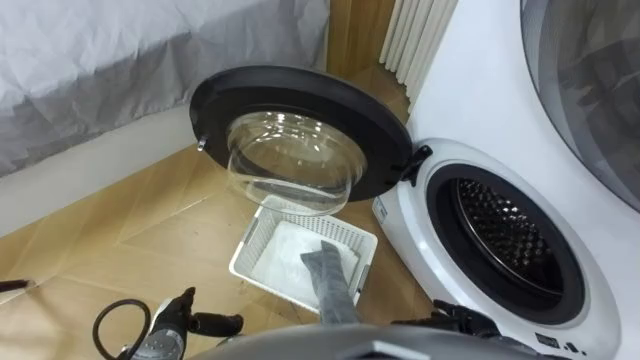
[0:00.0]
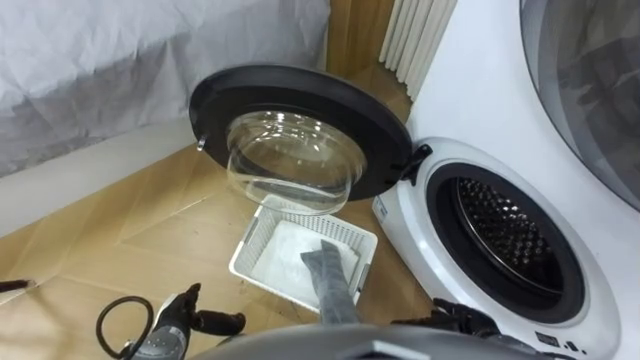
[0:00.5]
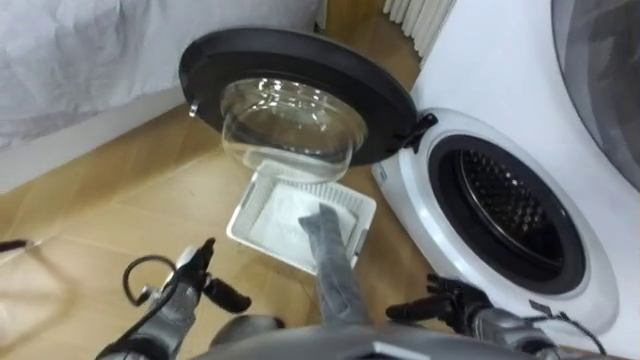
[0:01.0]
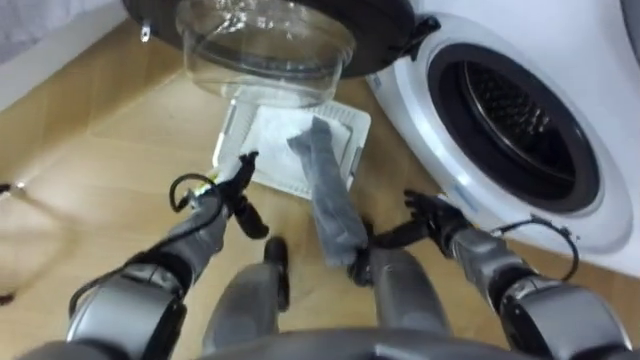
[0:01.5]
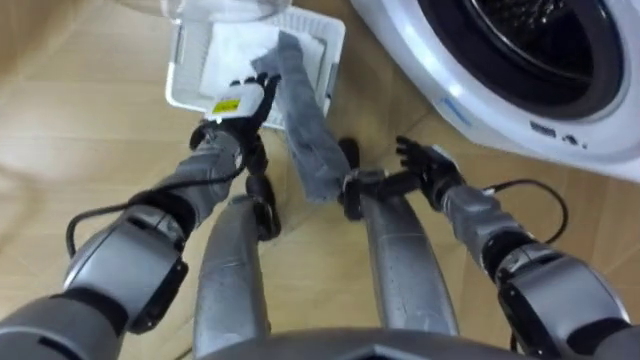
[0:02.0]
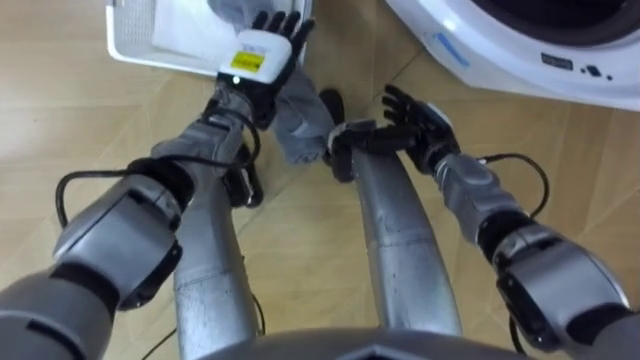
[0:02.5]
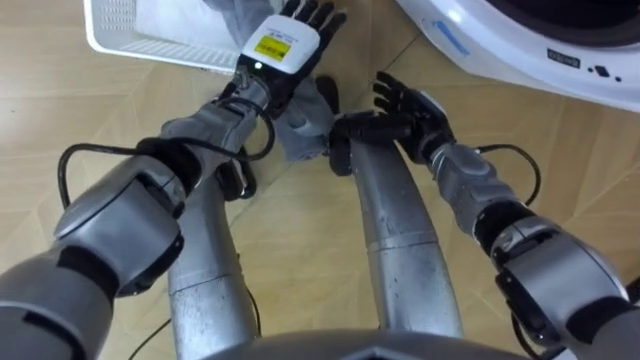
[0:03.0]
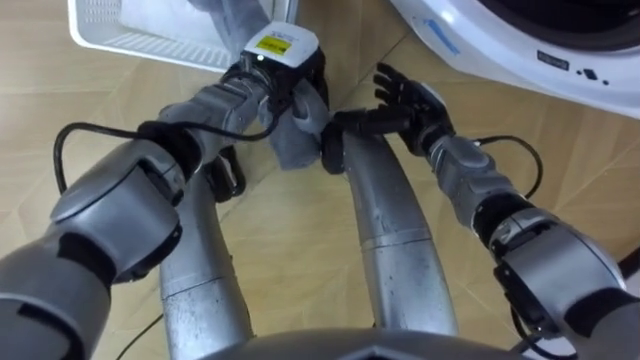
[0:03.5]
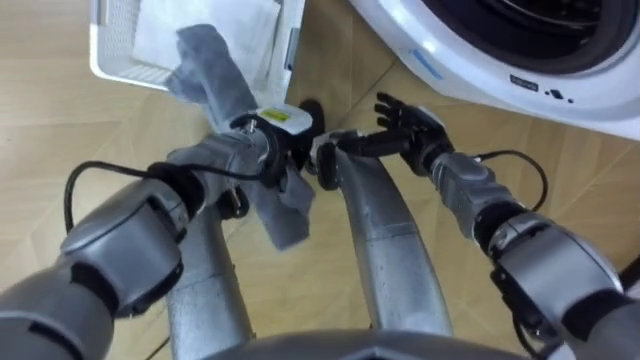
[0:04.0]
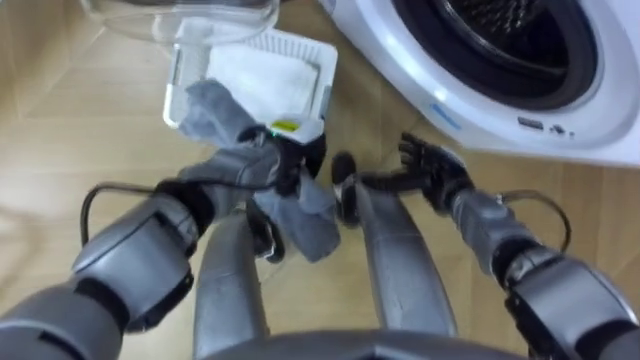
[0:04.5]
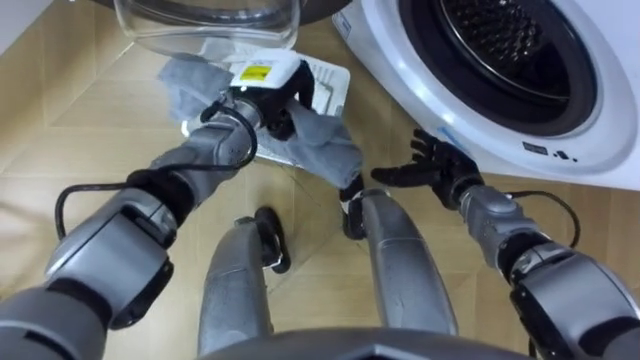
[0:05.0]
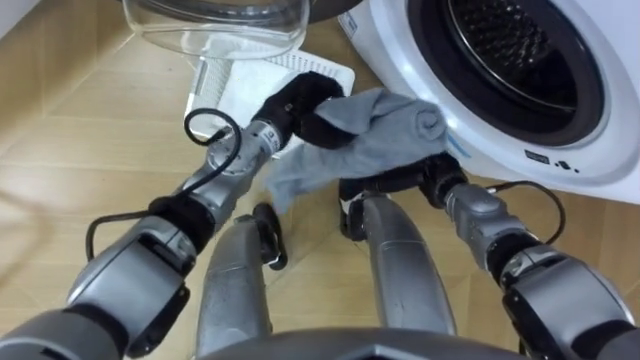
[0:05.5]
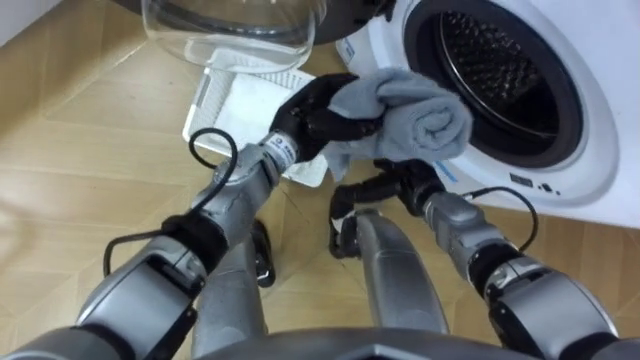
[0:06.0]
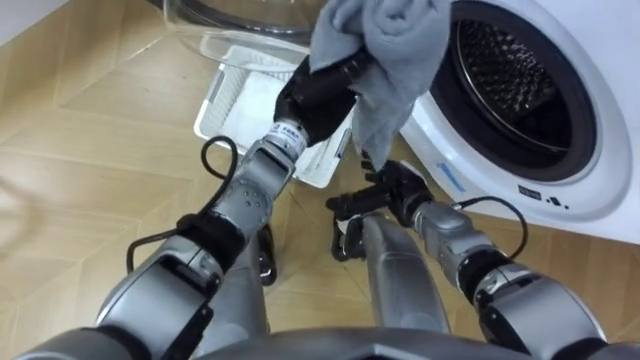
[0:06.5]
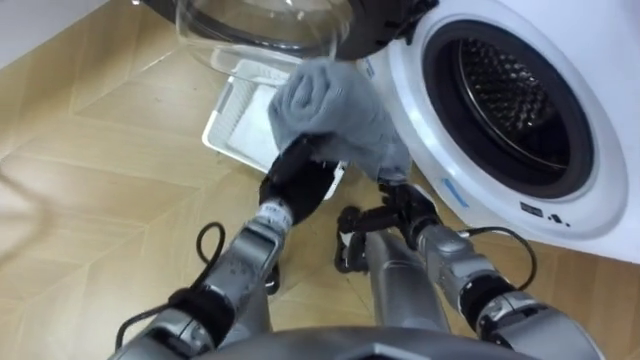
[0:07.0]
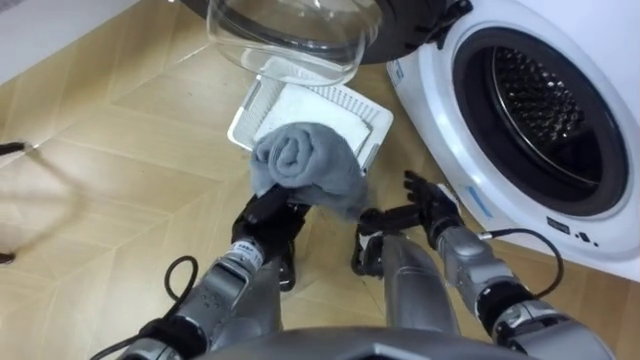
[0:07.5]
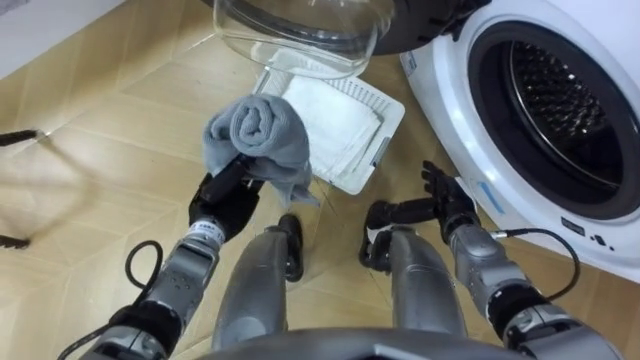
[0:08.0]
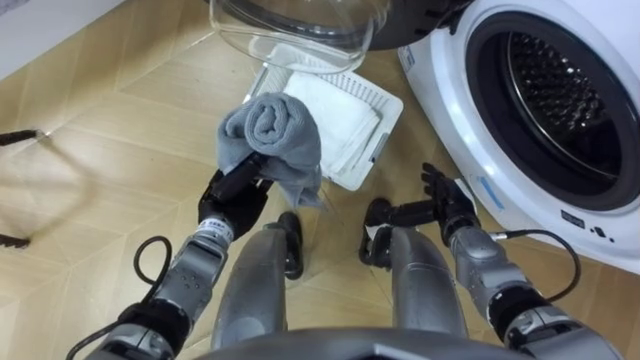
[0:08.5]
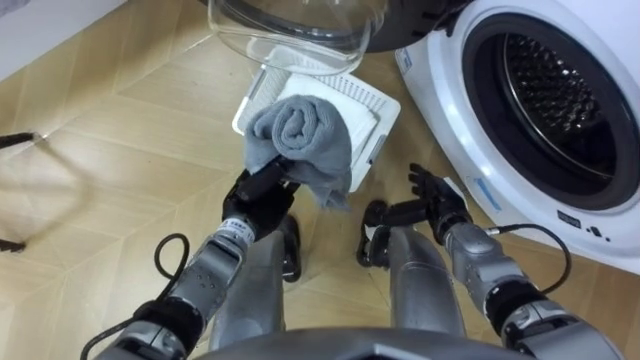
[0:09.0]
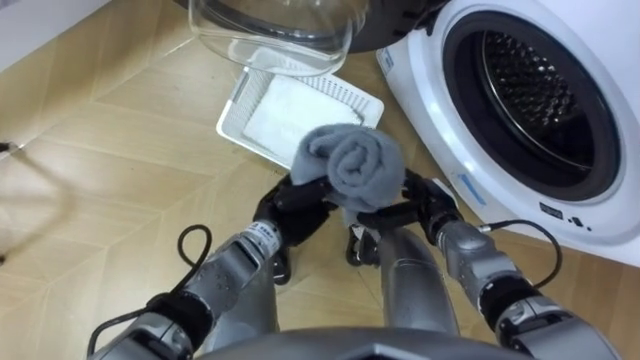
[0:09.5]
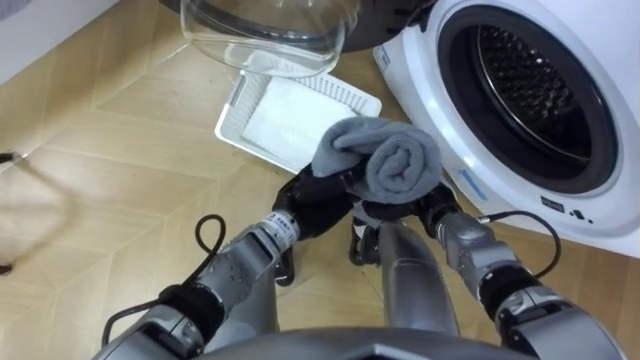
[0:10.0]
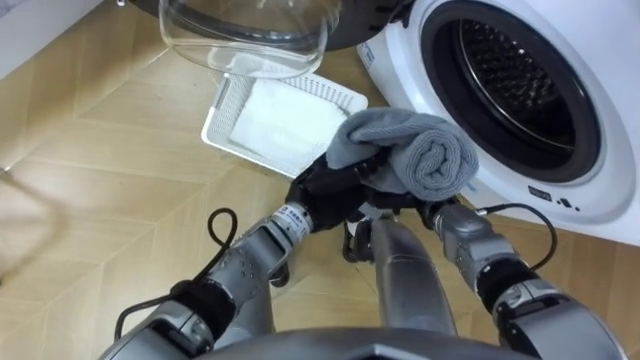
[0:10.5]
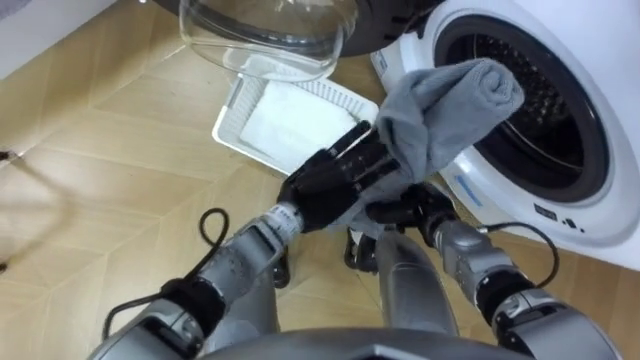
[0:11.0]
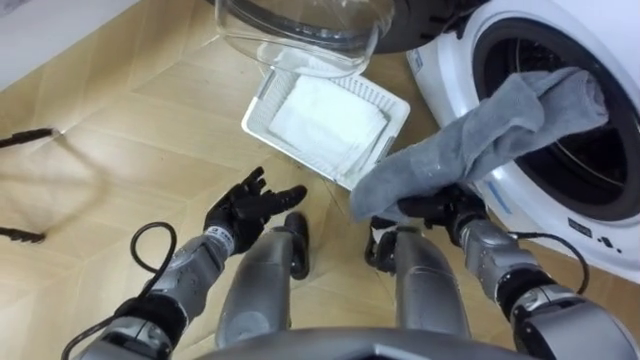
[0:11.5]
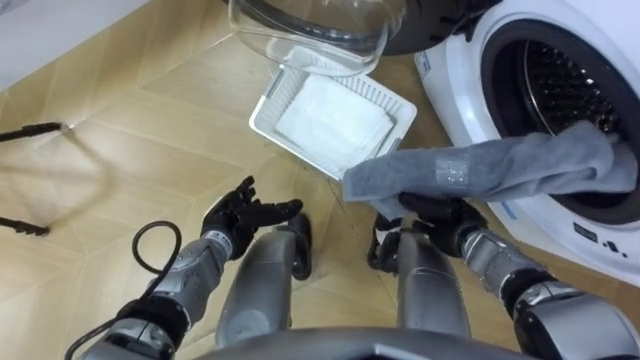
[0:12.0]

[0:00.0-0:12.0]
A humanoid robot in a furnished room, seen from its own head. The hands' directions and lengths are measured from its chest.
Task of the whole recording: Take the towel from the basket and put it into the washing machine.
0:02.0 to 0:04.0: The left hand heads to the right, covering about 5 cm, reaches roughly 10 cm upward, then returns, and closes up.
0:04.0 to 0:06.0: The left hand travels upward by roughly 5 cm. Meanwhile the right hand changes place by about 5 cm.
0:06.0 to 0:08.0: The left hand moves to the left, downward and backward, some 20 cm, while the right hand goes approximately 5 cm to the right.
0:08.0 to 0:10.0: The left hand travels to the right by some 15 cm. Meanwhile the right hand closes.
0:10.0 to 0:12.0: The left hand moves to the left and downward, some 15 cm, and opens its fingers. The right hand ends up some 5 cm from where it was, and closes up.

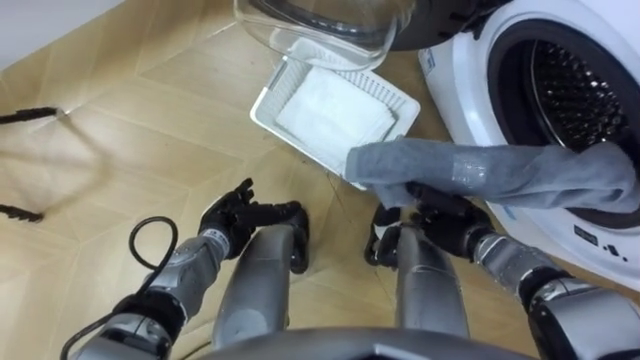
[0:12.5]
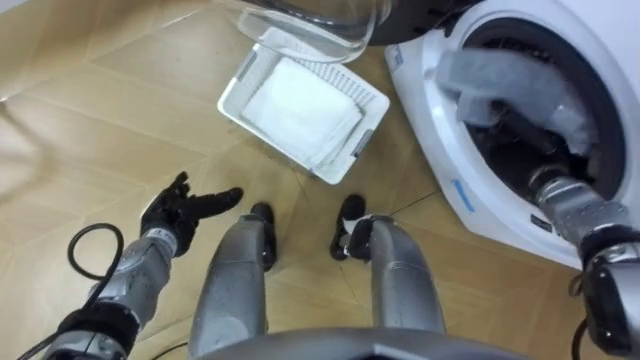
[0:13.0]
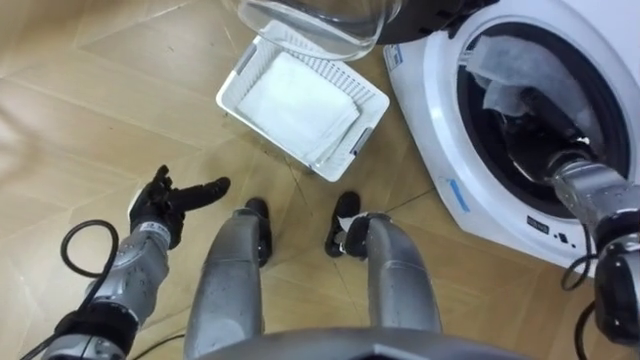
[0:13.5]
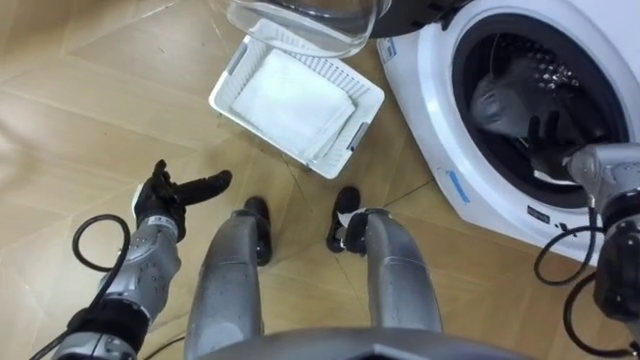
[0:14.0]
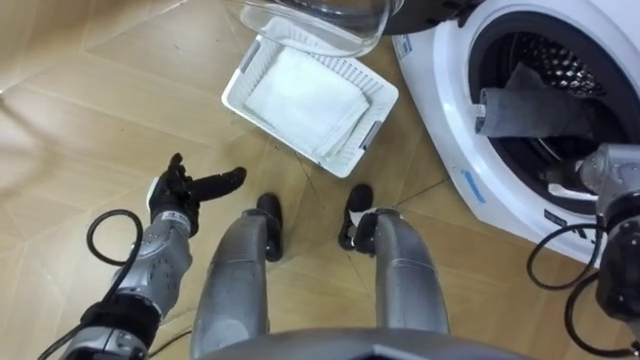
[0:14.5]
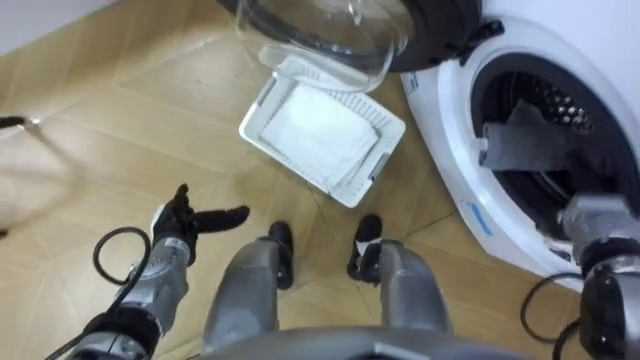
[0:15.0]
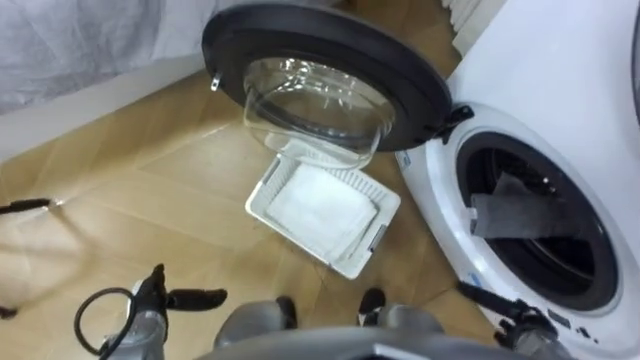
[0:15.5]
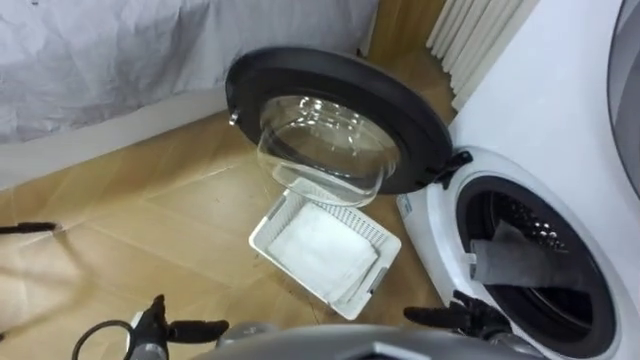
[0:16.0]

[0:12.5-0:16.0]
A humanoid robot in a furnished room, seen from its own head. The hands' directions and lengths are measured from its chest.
Task of the whole recording: Take the towel from the basket and put it into the washing machine.
0:12.5 to 0:14.5: The right hand travels to the right and upward by about 20 cm, and opens its fingers. The left hand shifts approximately 10 cm to the left.
0:14.5 to 0:16.0: The left hand goes roughly 20 cm backward and downward. The right hand moves backward, downward and to the left, about 25 cm.

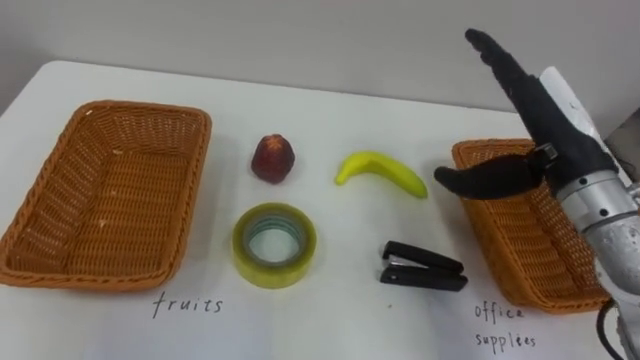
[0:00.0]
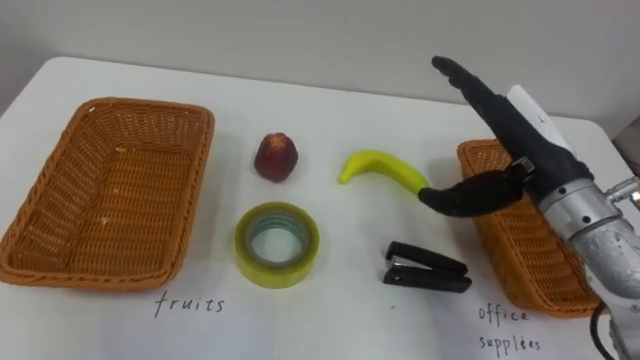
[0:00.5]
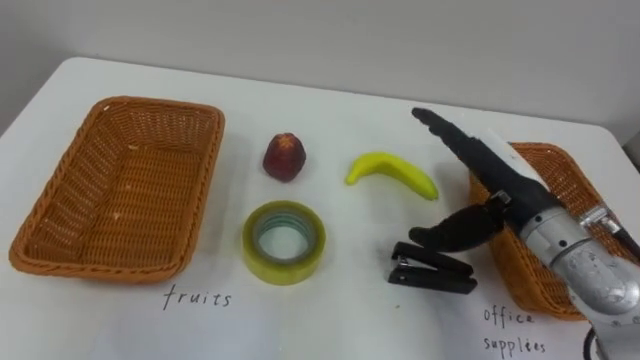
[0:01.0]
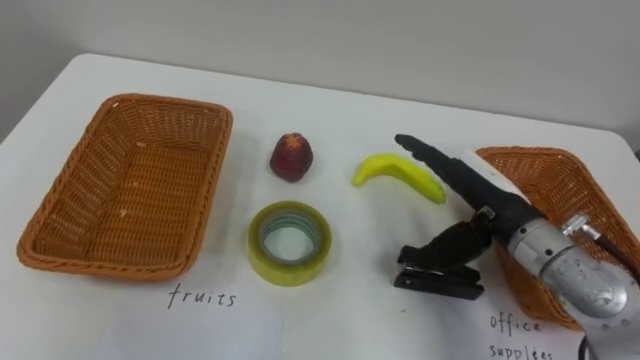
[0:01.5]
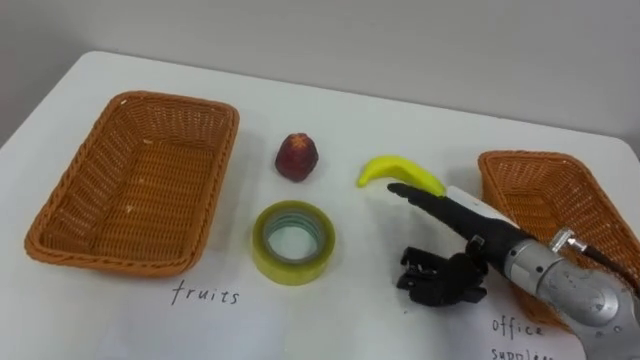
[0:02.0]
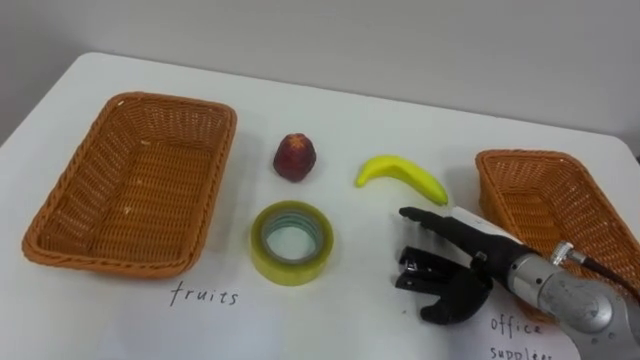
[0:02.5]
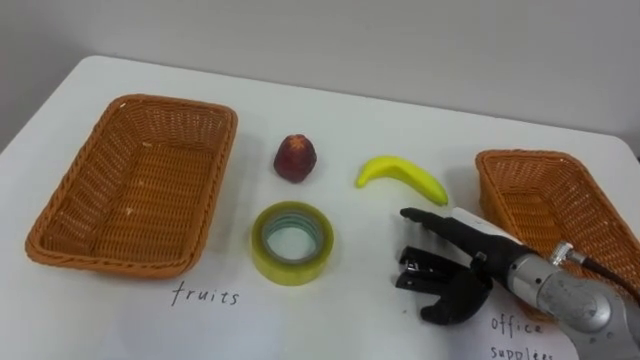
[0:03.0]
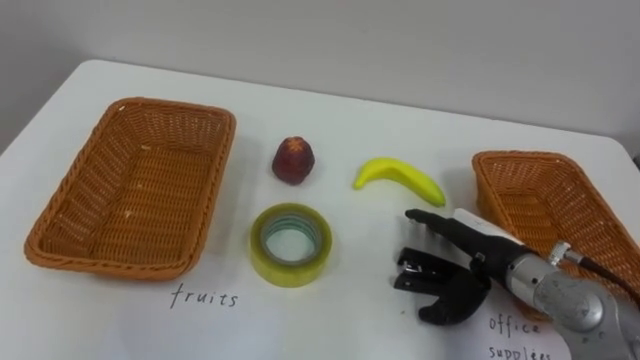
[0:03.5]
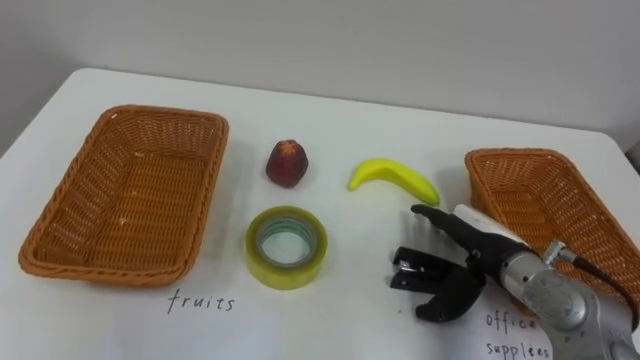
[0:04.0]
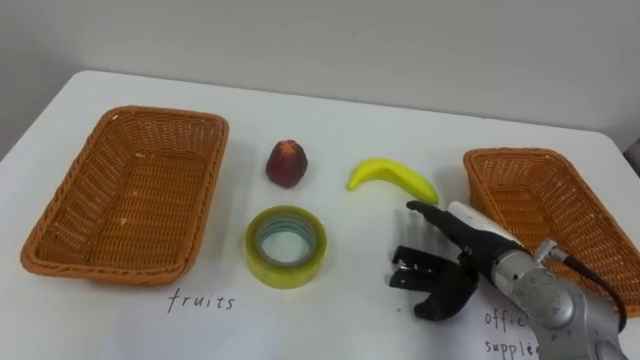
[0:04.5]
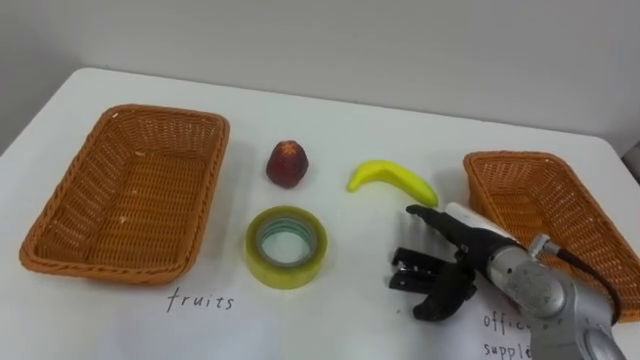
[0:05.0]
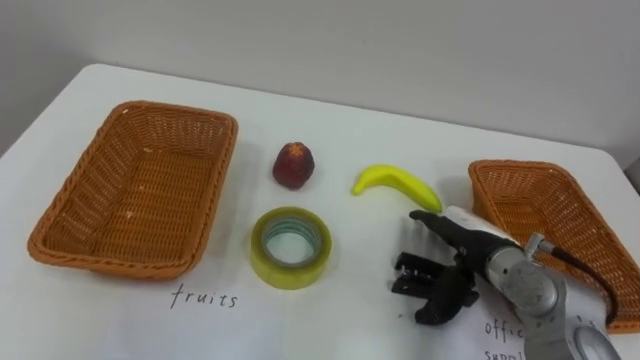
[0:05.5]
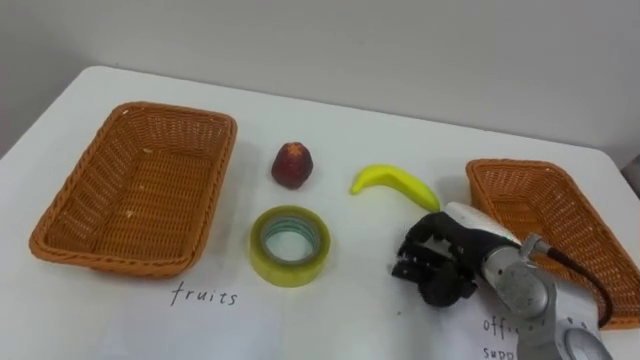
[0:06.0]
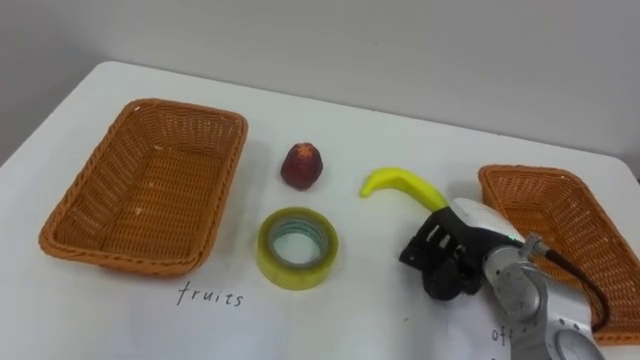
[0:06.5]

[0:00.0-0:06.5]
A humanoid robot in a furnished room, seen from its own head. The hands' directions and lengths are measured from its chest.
Task of the whole recording: Separate the items on the table and place them into the two baskets.
0:00.0 to 0:02.0: The right hand travels downward by approximately 10 cm.
0:04.5 to 0:06.5: The right hand closes.
